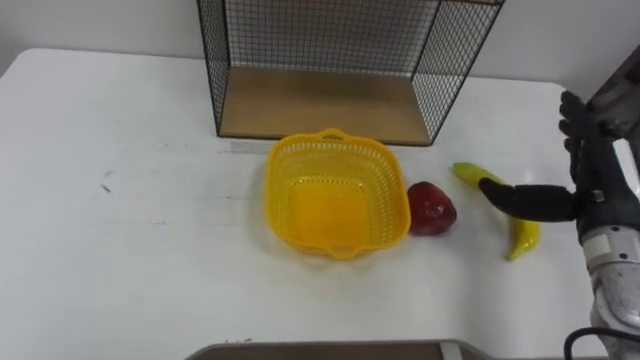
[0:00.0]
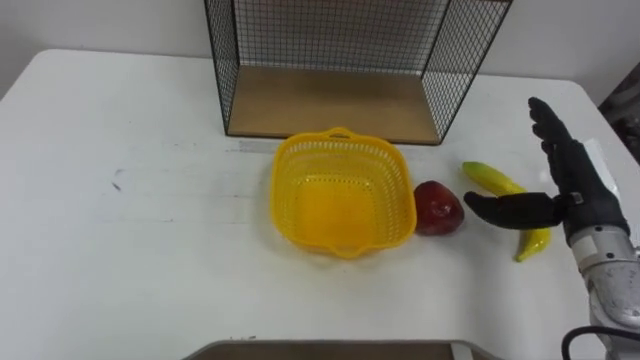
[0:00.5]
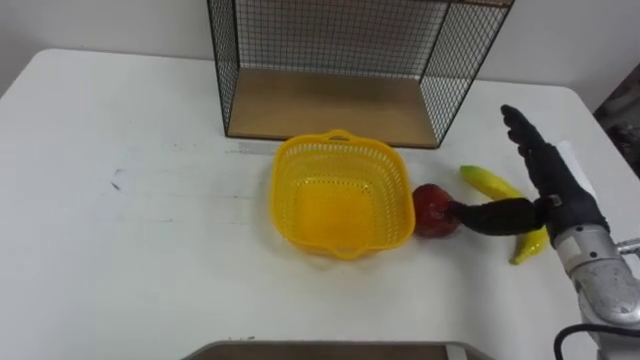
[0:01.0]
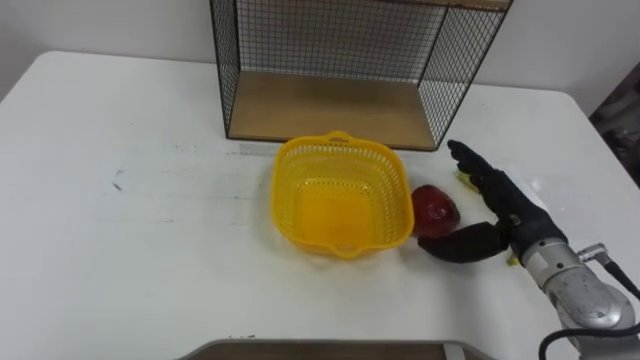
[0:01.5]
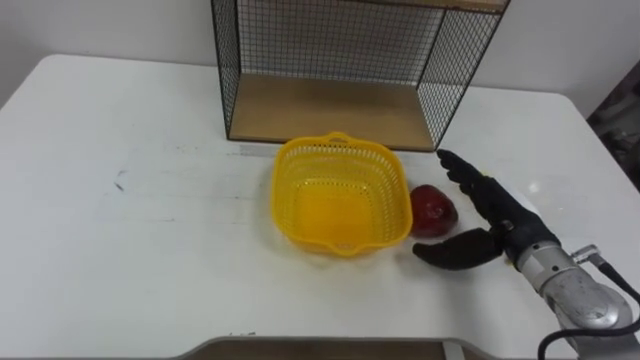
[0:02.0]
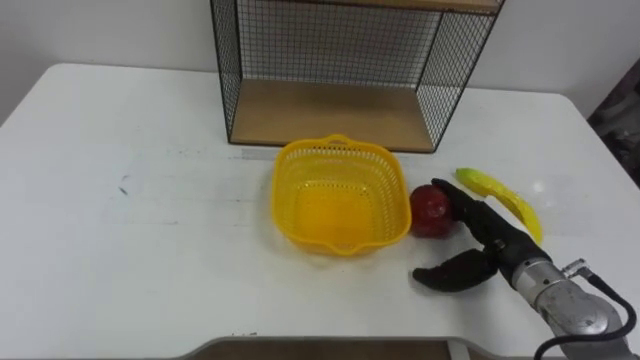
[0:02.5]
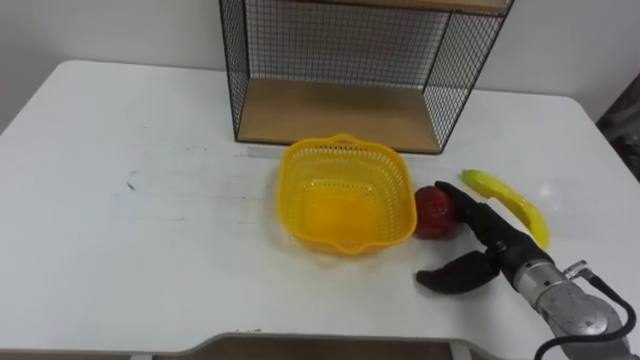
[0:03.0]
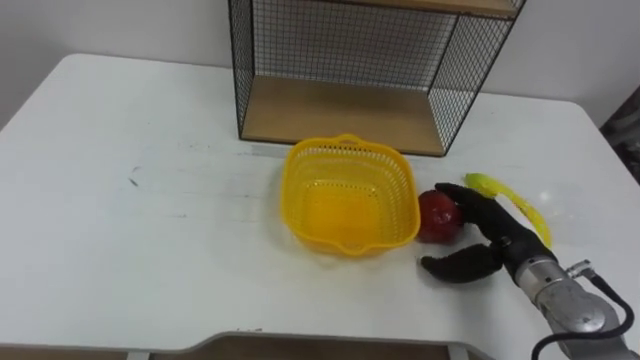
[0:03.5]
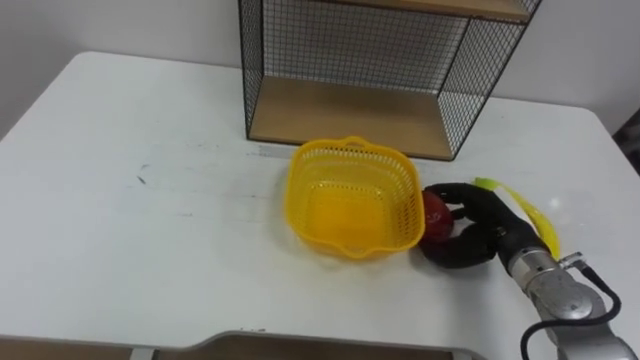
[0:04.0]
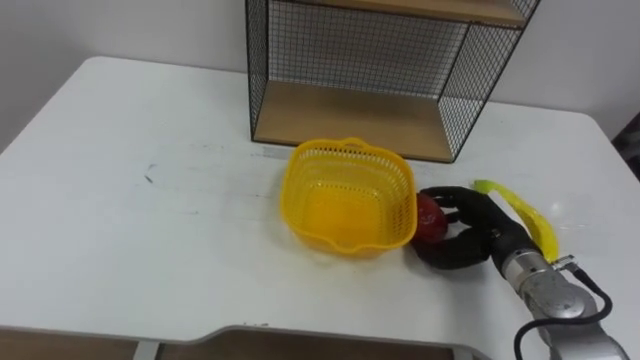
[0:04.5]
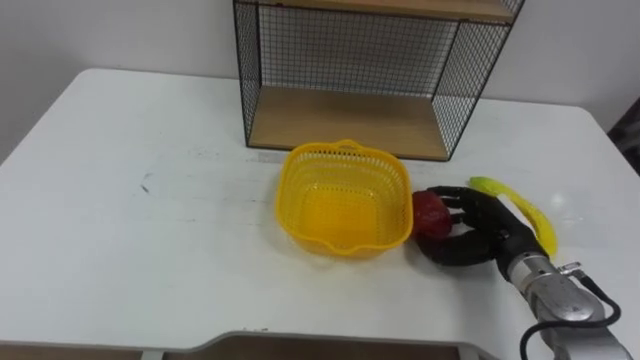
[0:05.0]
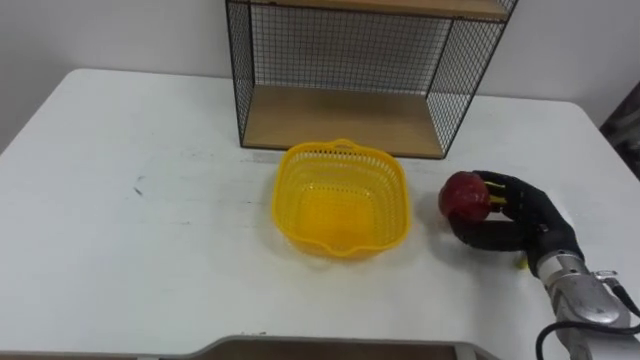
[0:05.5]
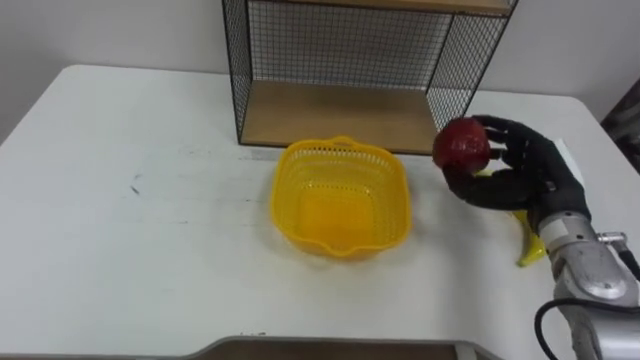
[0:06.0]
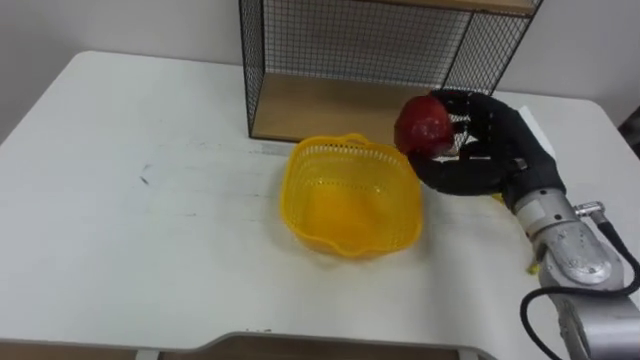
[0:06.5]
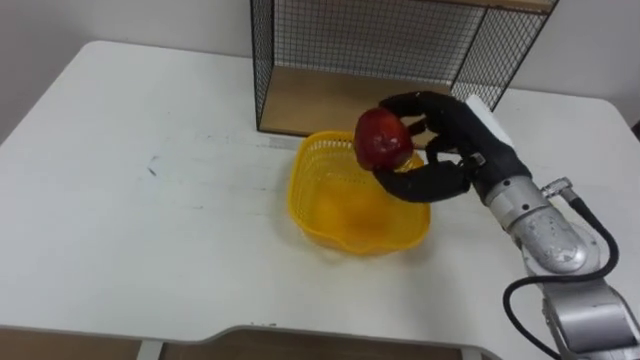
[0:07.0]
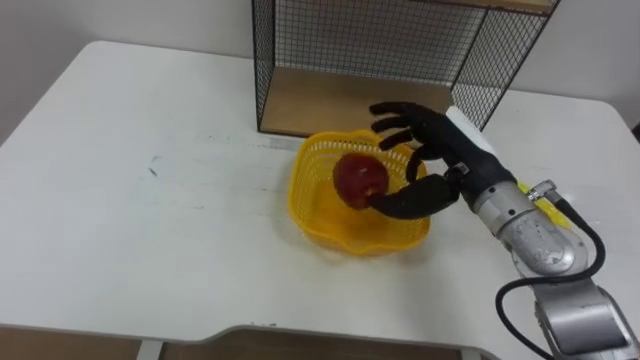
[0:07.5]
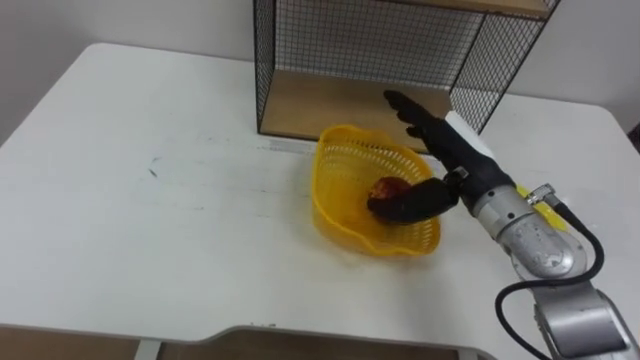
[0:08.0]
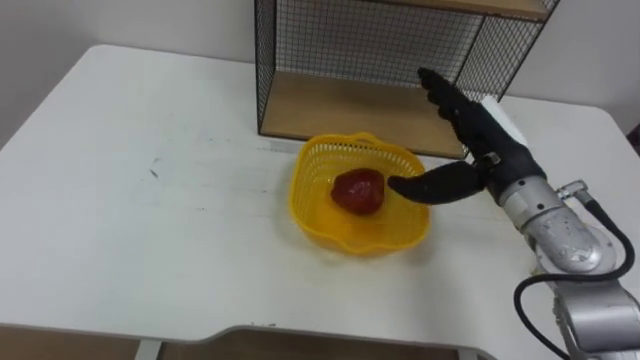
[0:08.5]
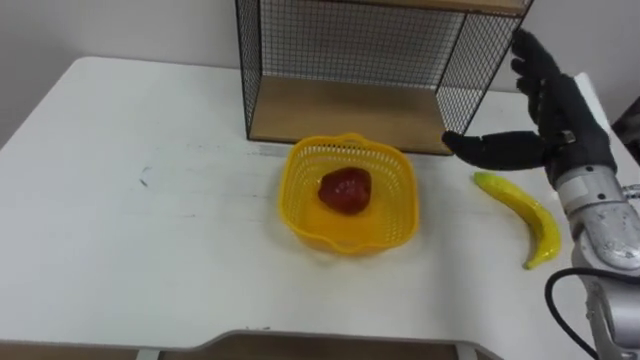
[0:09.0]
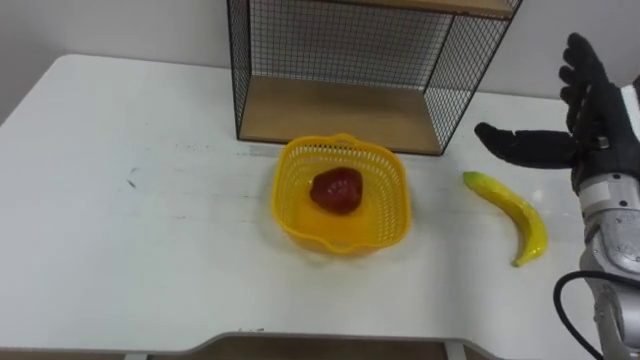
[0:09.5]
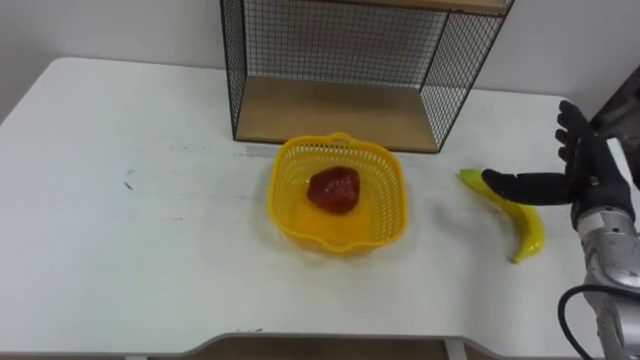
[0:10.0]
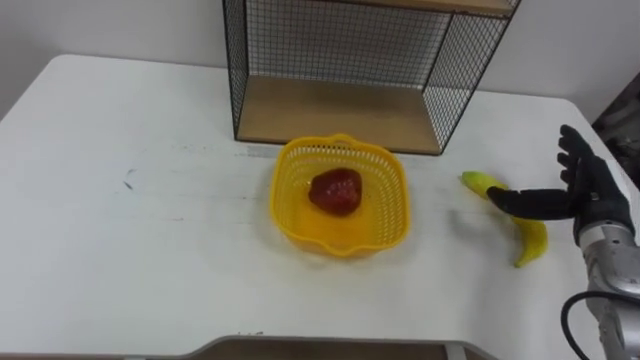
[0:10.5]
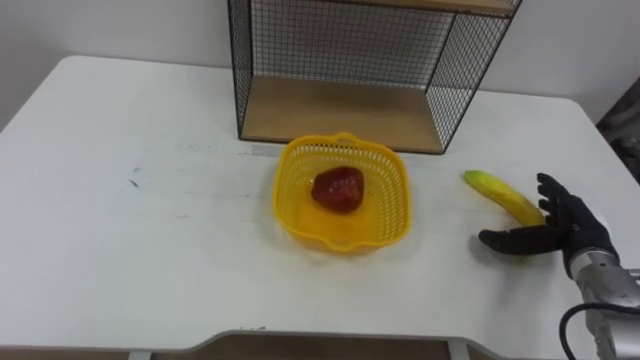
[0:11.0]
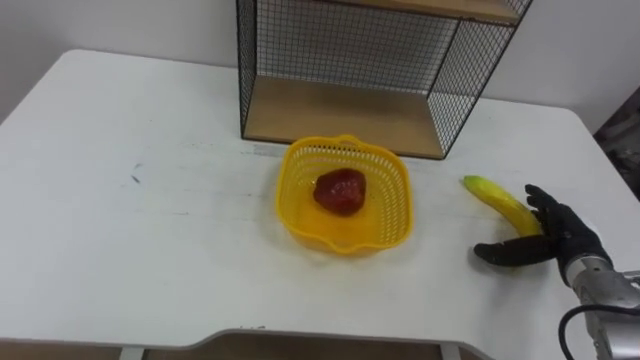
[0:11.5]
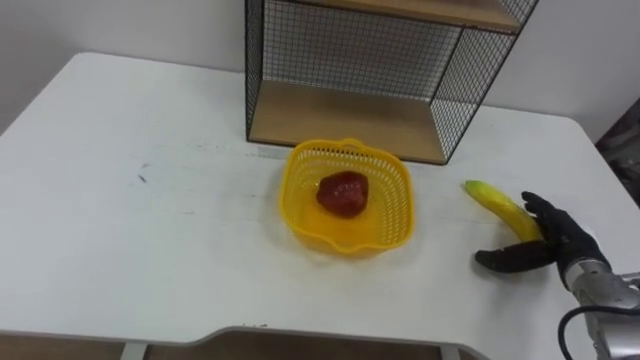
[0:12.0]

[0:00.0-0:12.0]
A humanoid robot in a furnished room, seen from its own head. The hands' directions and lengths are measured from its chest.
Task of the whole recording: Put the fruit on the table into the basket, then place the basket on the shelf.
0:00.0 to 0:02.0: The right hand travels to the left and downward by roughly 10 cm.
0:02.0 to 0:04.0: The right hand closes.
0:04.0 to 0:06.0: The right hand is displaced upward by roughly 5 cm.
0:06.0 to 0:08.0: The right hand goes about 10 cm to the left, and opens.
0:08.0 to 0:10.0: The right hand shifts about 15 cm to the right.
0:10.0 to 0:12.0: The right hand moves downward, approximately 10 cm.

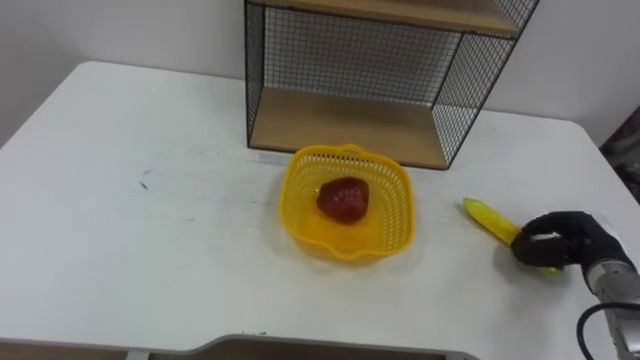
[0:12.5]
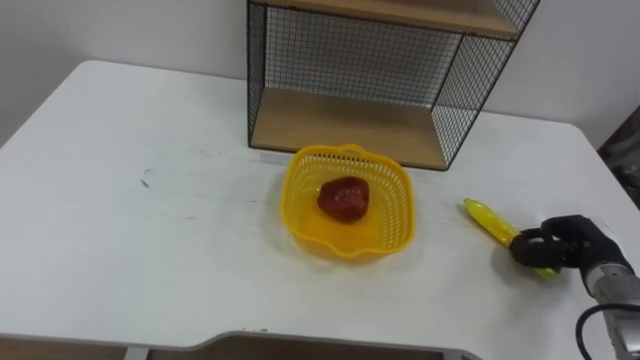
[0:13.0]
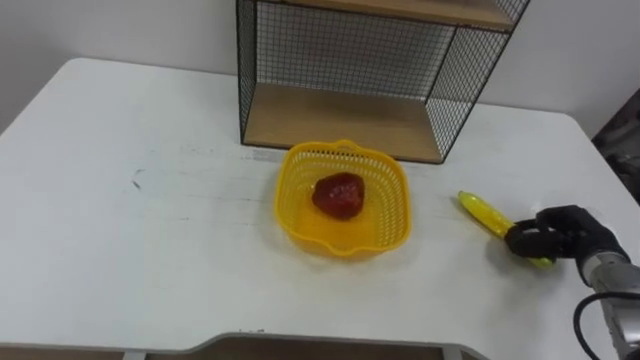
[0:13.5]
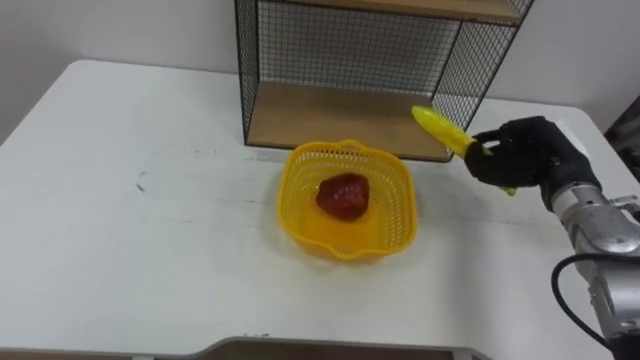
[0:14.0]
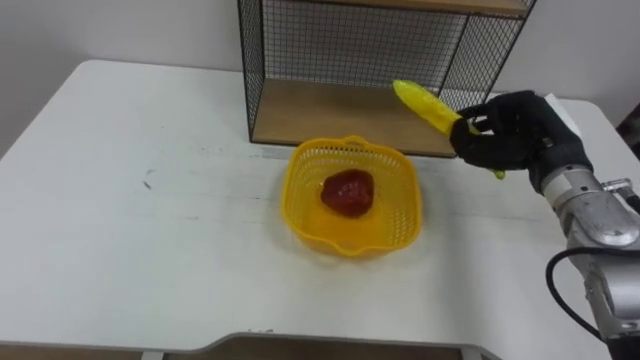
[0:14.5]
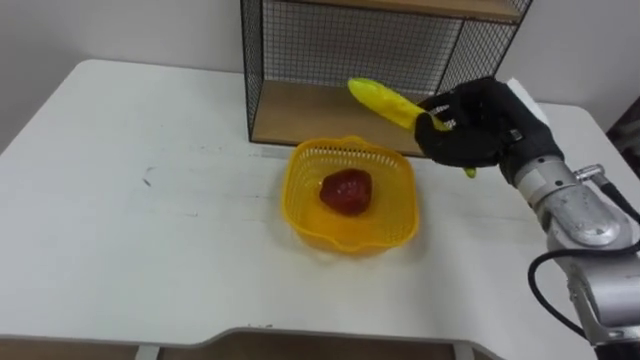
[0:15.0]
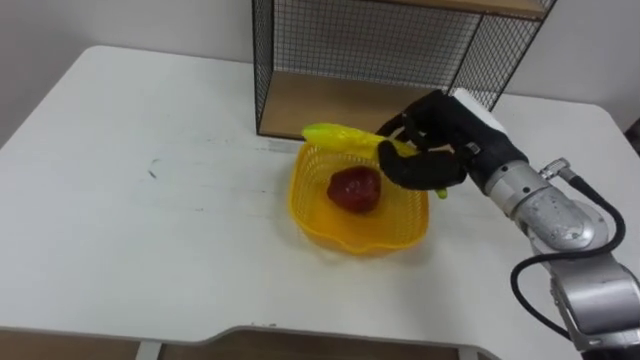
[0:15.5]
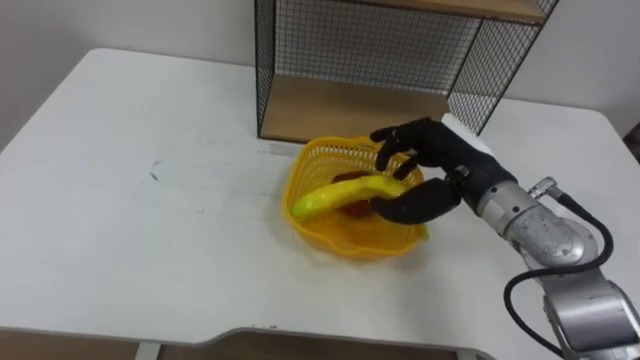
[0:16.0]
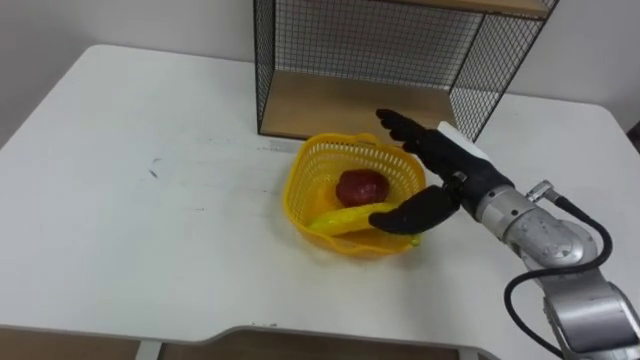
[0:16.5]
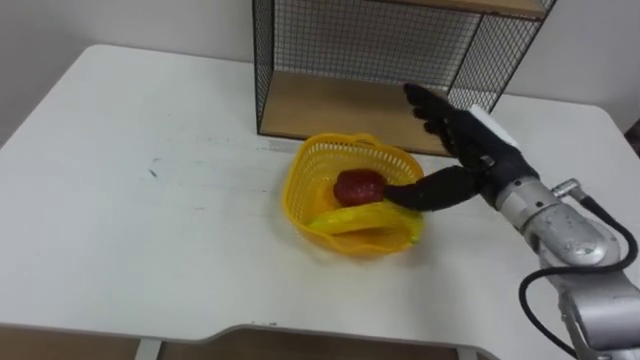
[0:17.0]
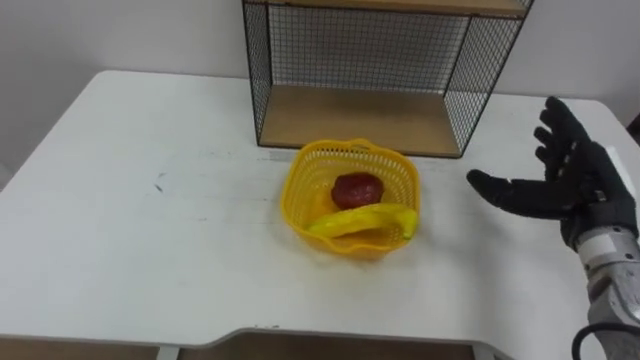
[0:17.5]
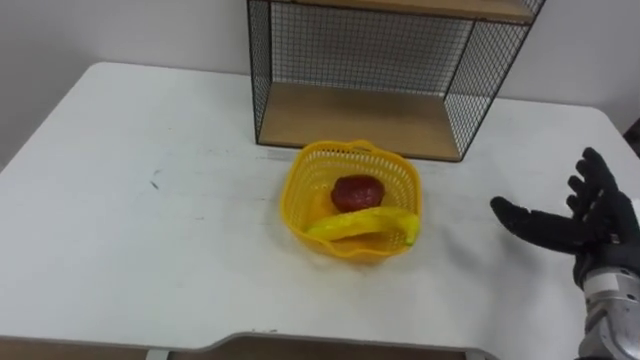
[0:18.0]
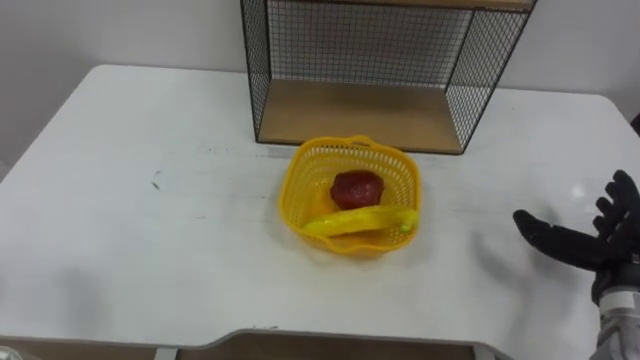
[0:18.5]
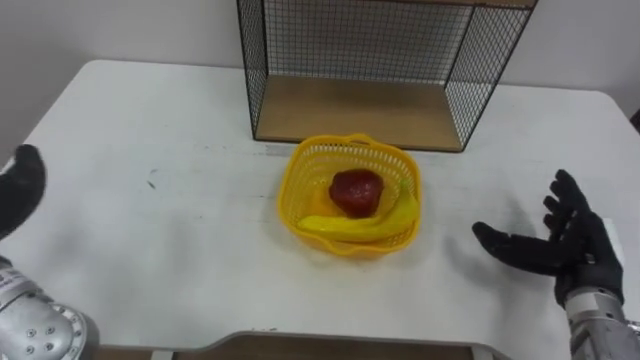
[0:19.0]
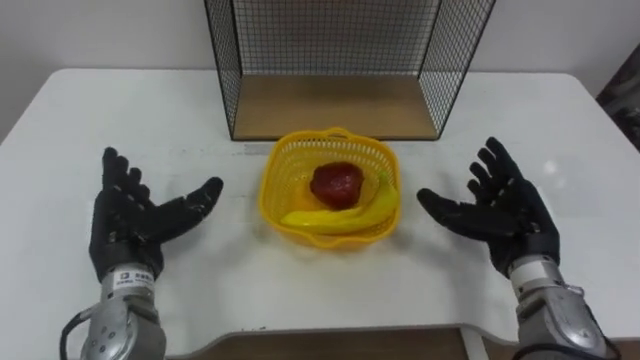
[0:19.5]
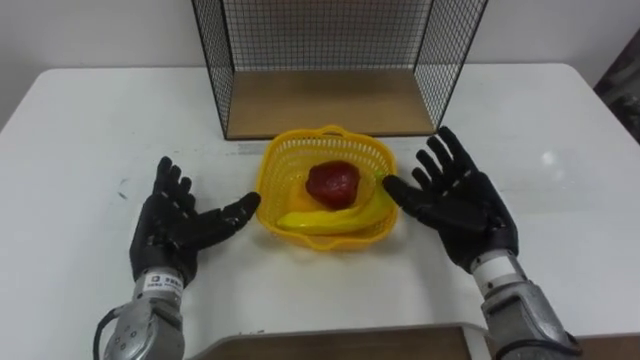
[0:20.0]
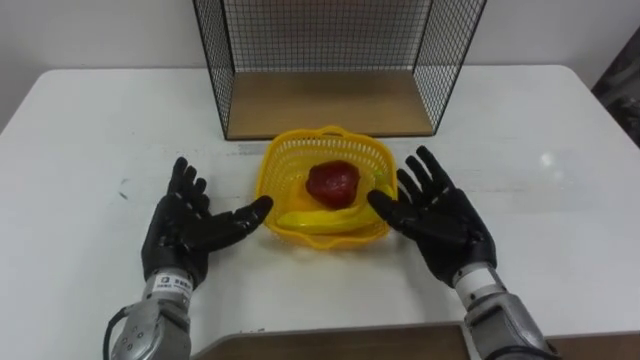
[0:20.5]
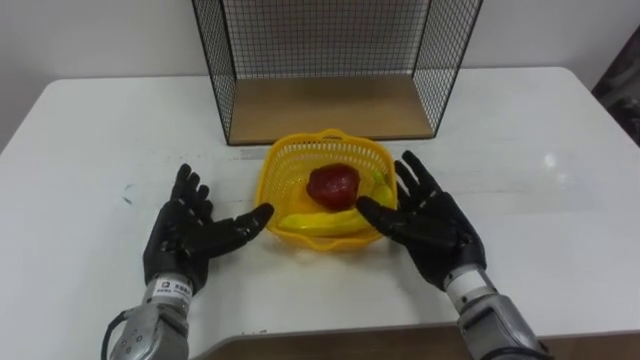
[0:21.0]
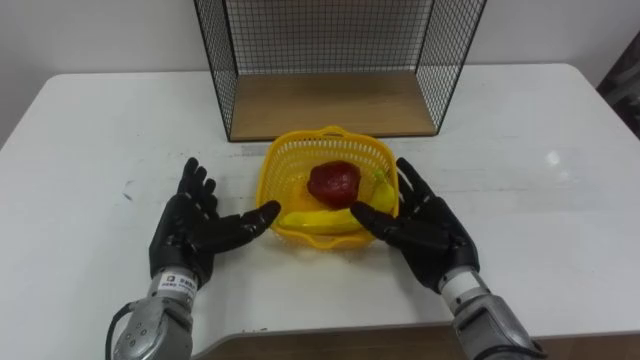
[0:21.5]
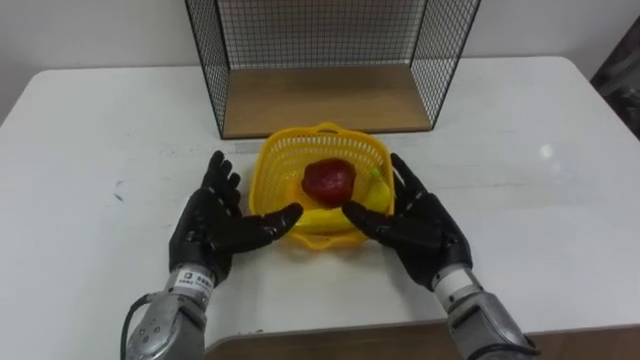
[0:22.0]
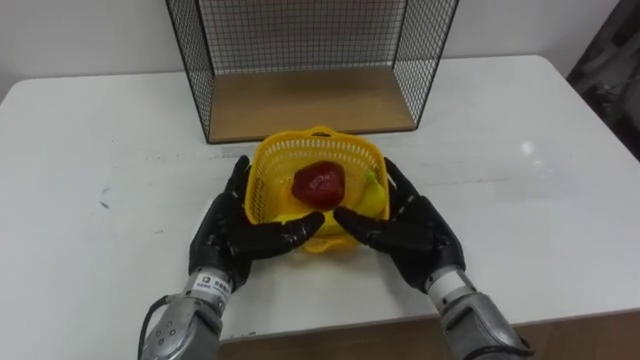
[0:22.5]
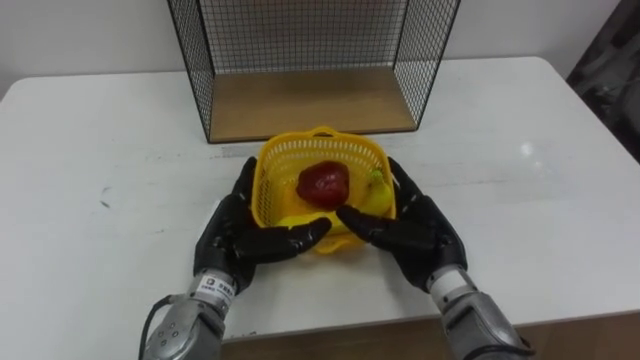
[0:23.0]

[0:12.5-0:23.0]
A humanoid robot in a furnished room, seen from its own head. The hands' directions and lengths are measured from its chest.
Task of the whole recording: Put the fruit on the table into the basket, then place the basket on the shelf.
0:12.5 to 0:14.5: The right hand moves upward, to the left and forward, approximately 20 cm.
0:14.5 to 0:16.5: The right hand travels to the left by about 10 cm, and opens.
0:16.5 to 0:19.0: The right hand is displaced to the right, backward and downward by roughly 20 cm.
0:19.0 to 0:21.0: The right hand shifts approximately 15 cm to the left.
0:21.0 to 0:23.0: The left hand is displaced to the right by some 5 cm.
